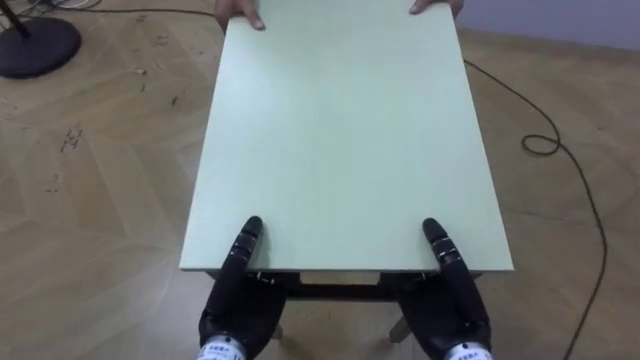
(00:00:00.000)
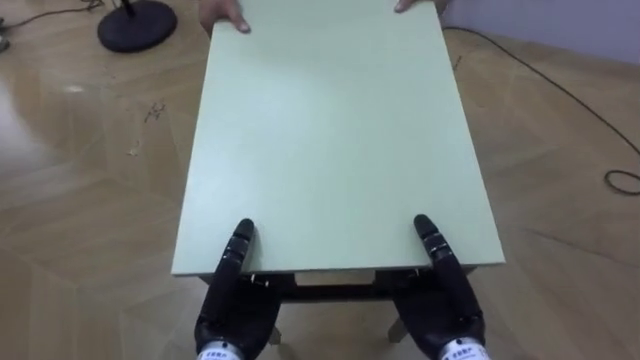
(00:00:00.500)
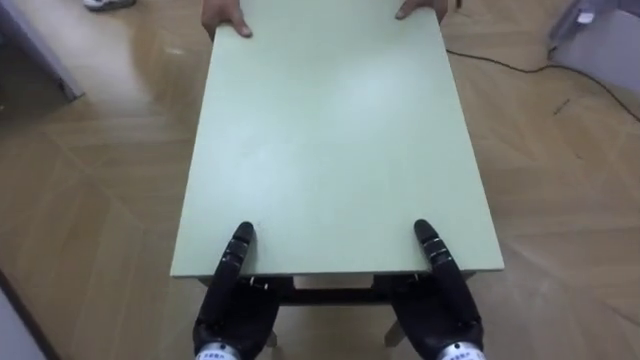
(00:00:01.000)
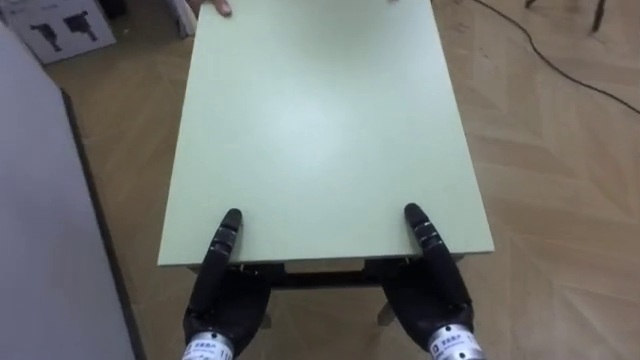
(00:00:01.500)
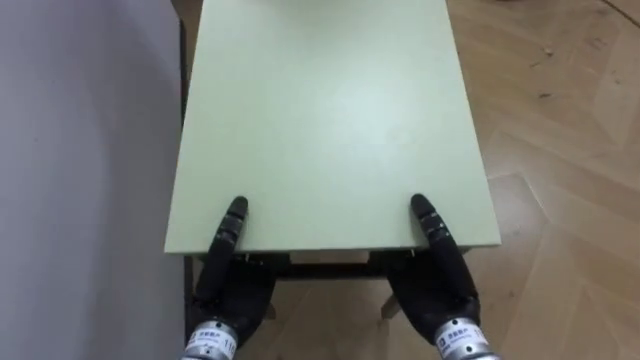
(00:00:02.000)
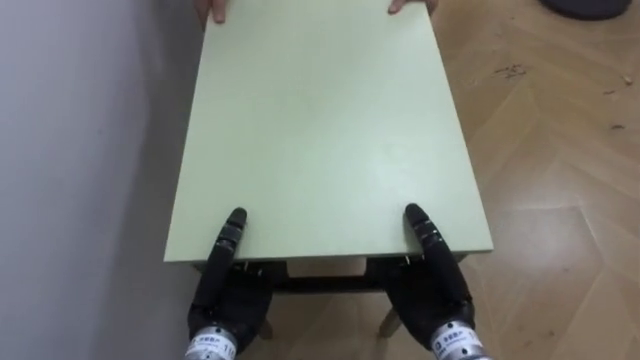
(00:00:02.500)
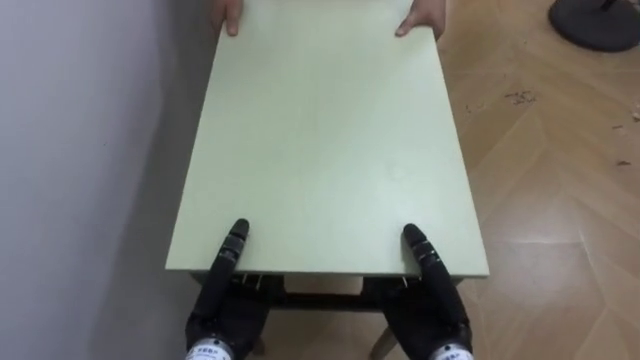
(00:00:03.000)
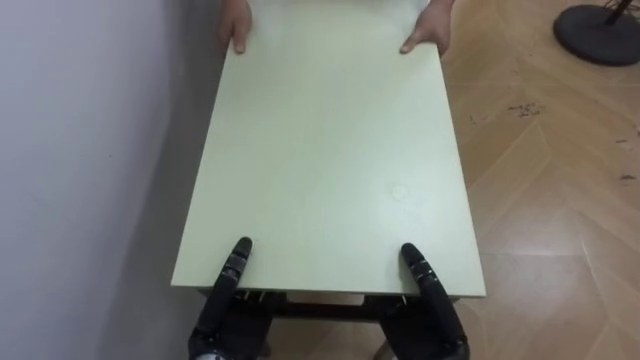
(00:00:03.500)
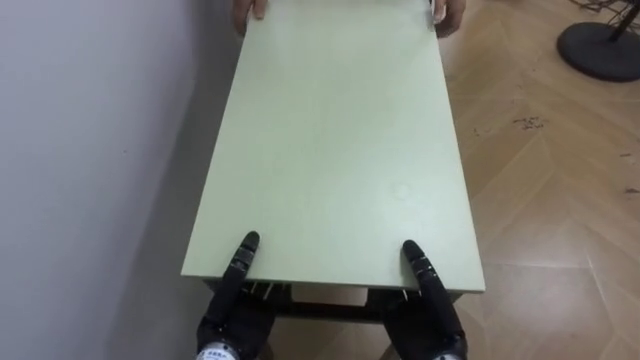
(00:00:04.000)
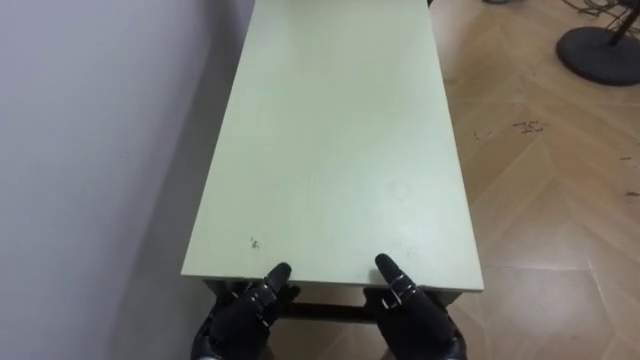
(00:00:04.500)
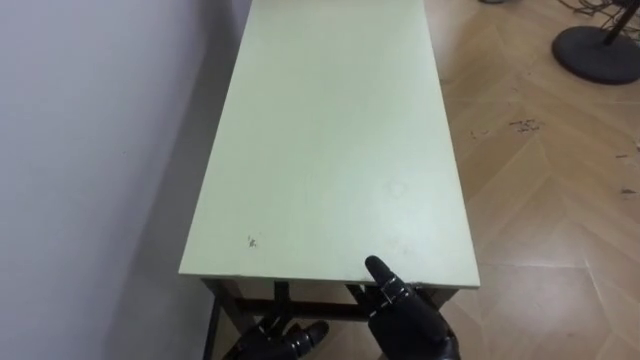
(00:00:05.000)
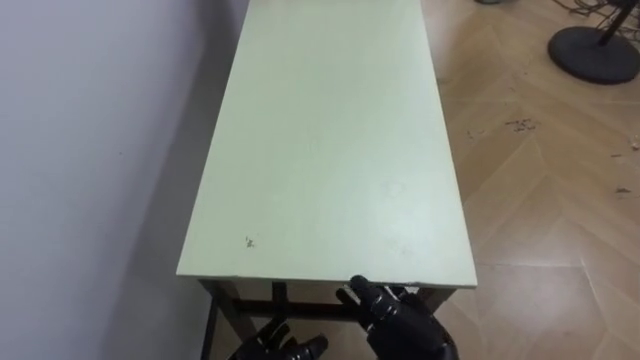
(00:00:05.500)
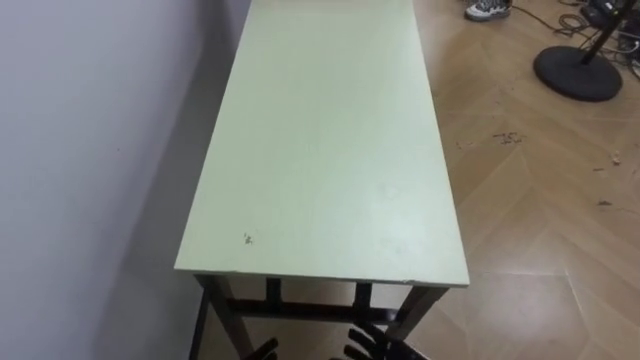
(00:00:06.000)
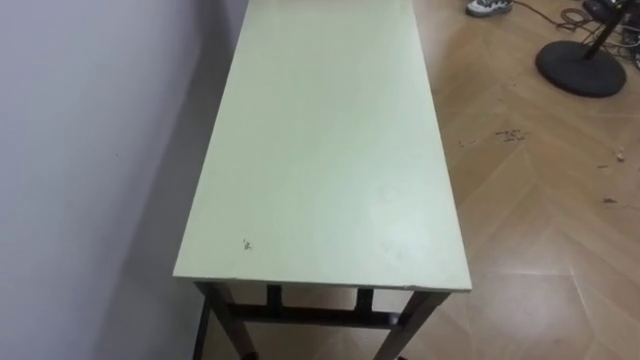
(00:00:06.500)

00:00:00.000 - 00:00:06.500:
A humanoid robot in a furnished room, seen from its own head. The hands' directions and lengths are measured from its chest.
Task of the whole recording: Move the table to the back left with someone.
00:00:00.000 - 00:00:02.000: The robot's body swings about 70 degrees to its left.
00:00:02.000 - 00:00:04.500: Both hands move downward, roughly 10 cm. The left hand opens its fingers.
